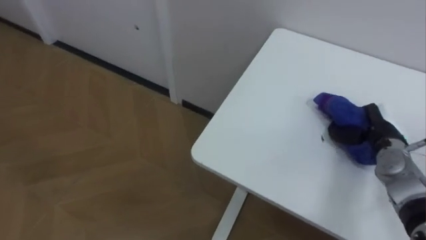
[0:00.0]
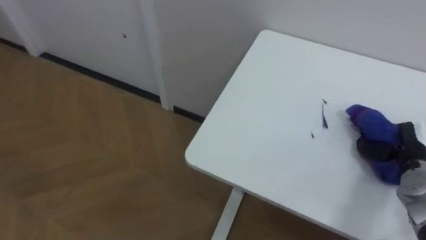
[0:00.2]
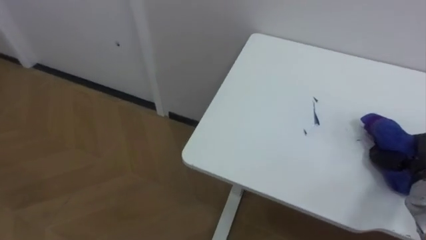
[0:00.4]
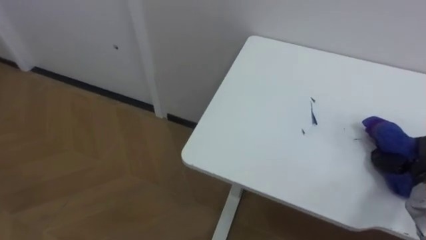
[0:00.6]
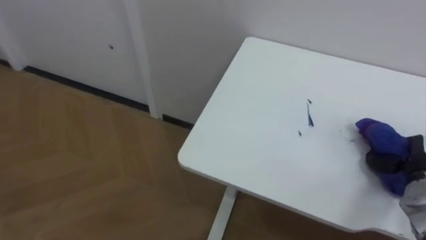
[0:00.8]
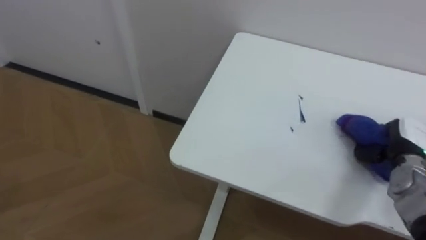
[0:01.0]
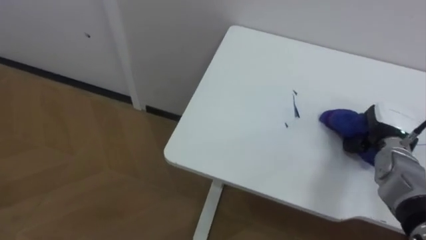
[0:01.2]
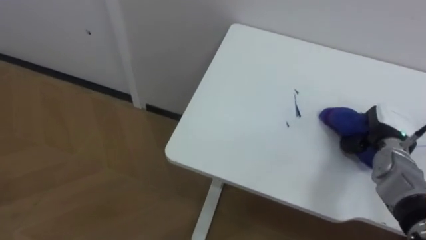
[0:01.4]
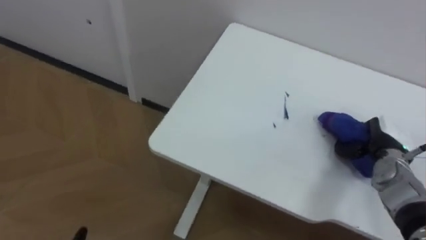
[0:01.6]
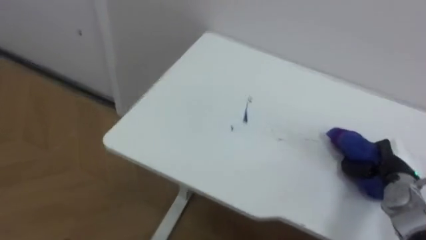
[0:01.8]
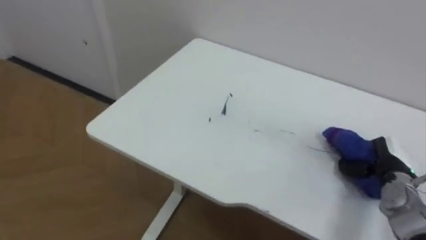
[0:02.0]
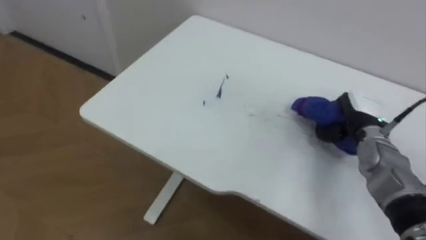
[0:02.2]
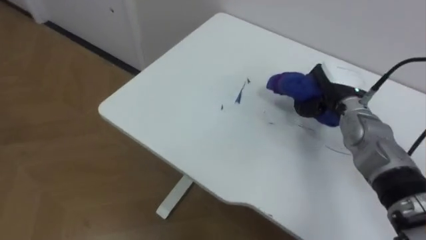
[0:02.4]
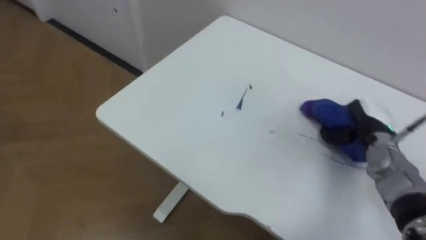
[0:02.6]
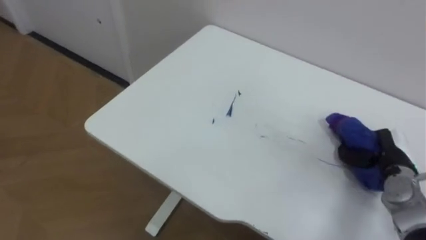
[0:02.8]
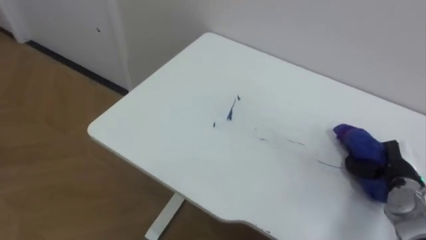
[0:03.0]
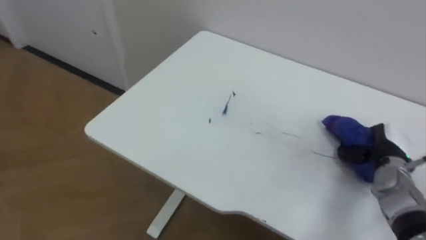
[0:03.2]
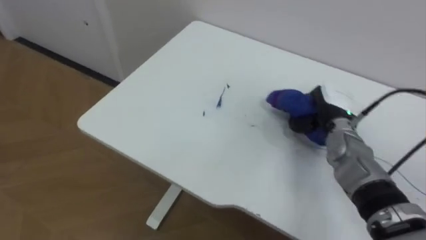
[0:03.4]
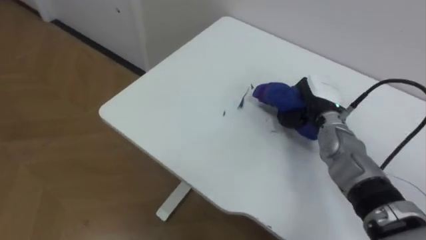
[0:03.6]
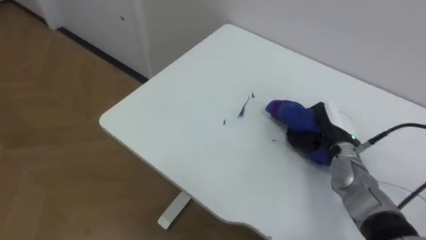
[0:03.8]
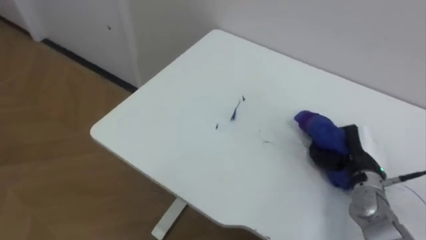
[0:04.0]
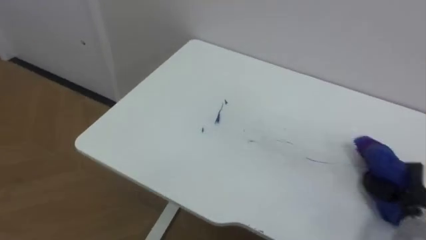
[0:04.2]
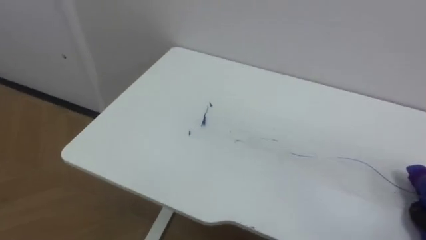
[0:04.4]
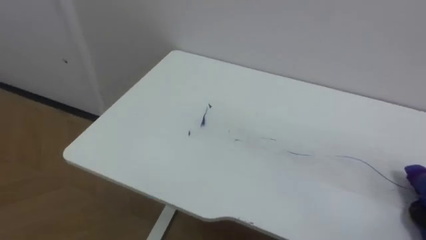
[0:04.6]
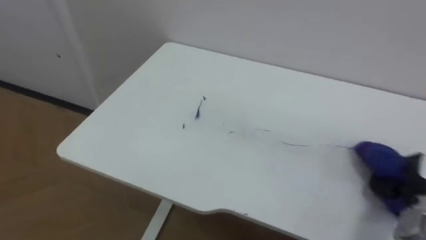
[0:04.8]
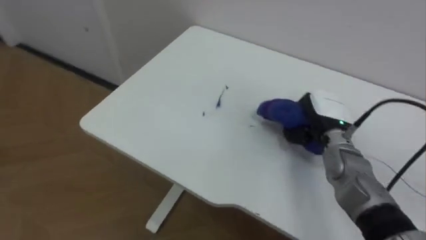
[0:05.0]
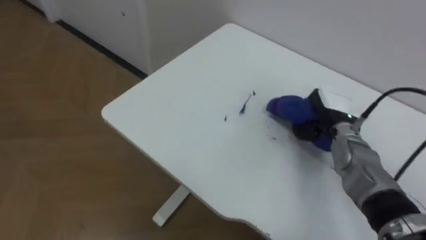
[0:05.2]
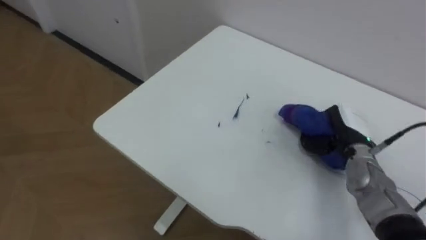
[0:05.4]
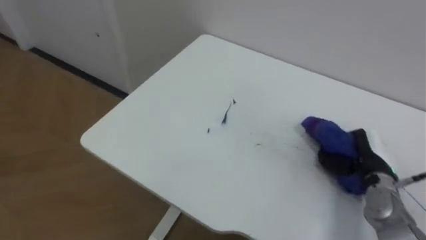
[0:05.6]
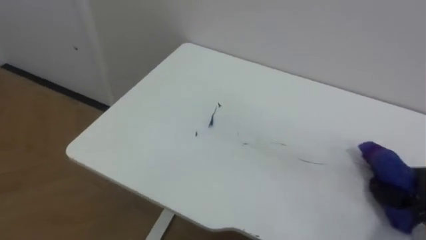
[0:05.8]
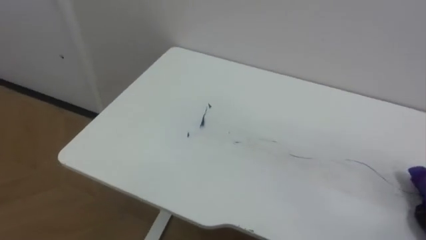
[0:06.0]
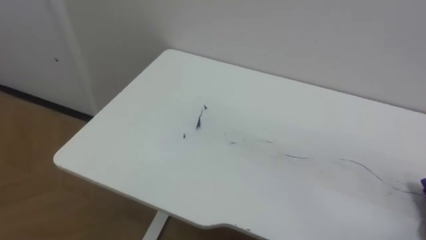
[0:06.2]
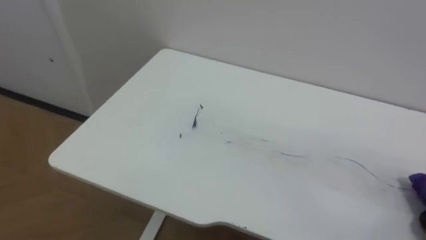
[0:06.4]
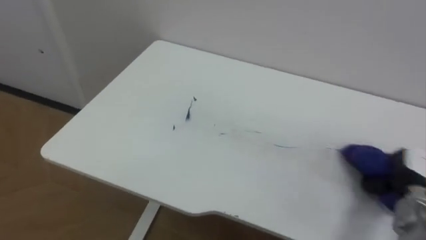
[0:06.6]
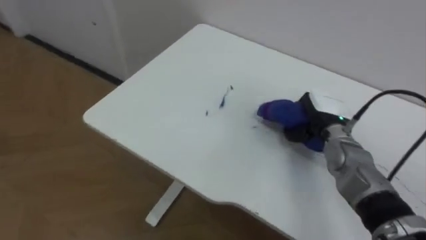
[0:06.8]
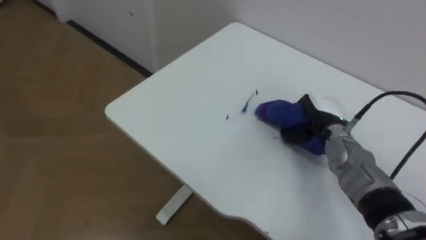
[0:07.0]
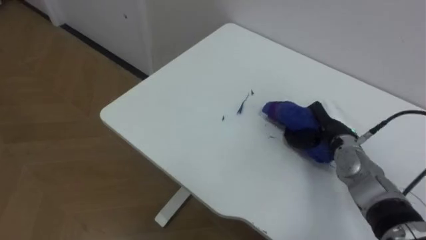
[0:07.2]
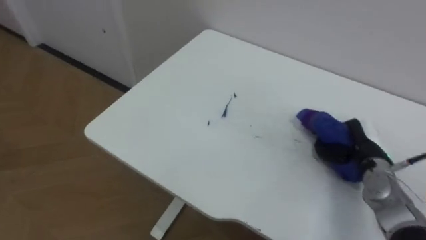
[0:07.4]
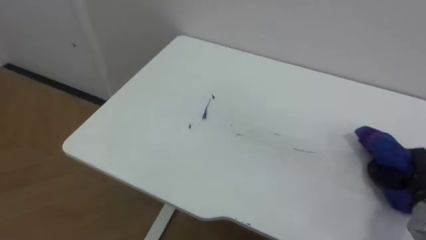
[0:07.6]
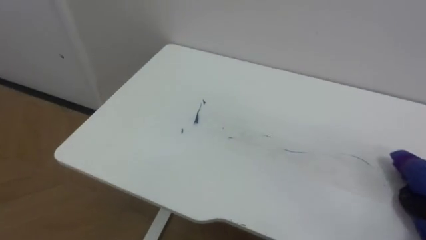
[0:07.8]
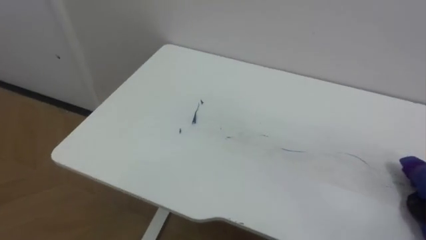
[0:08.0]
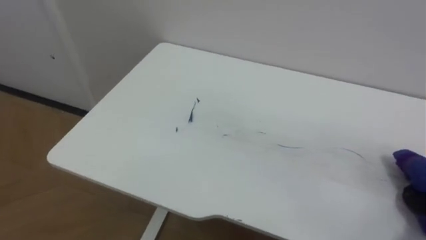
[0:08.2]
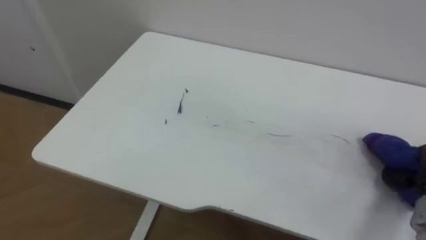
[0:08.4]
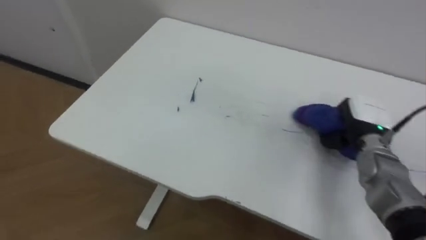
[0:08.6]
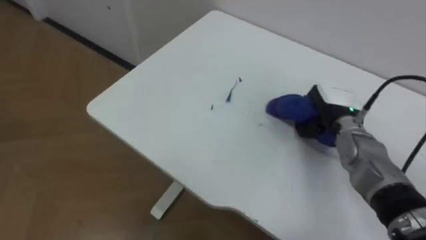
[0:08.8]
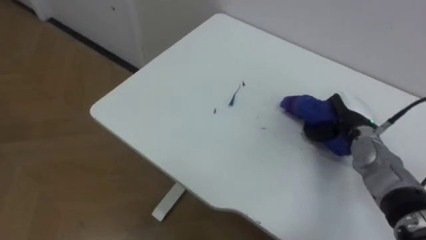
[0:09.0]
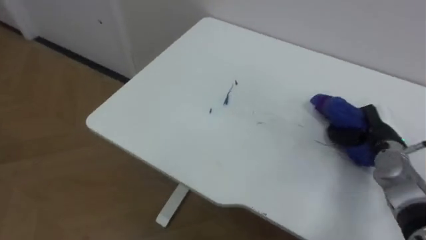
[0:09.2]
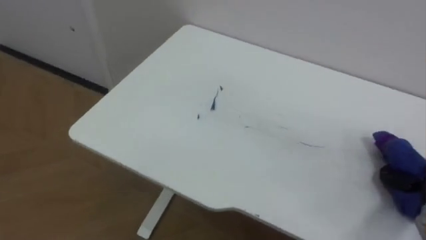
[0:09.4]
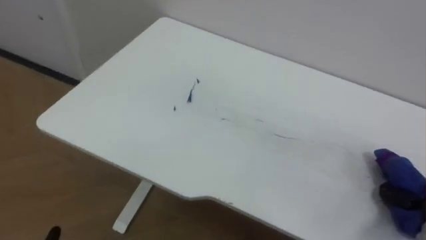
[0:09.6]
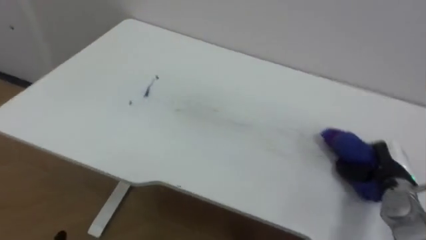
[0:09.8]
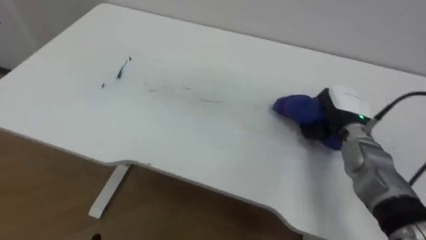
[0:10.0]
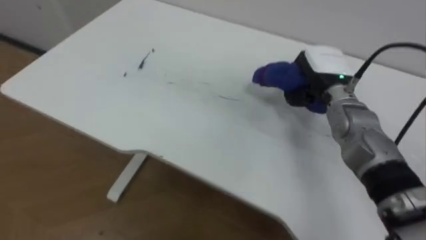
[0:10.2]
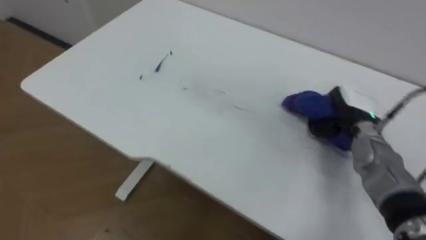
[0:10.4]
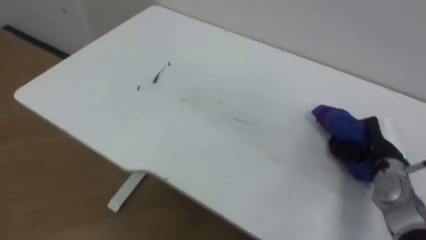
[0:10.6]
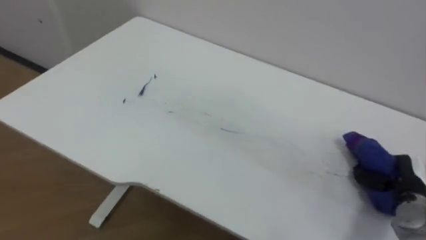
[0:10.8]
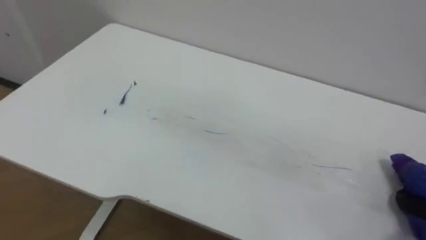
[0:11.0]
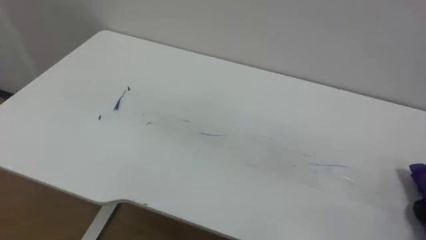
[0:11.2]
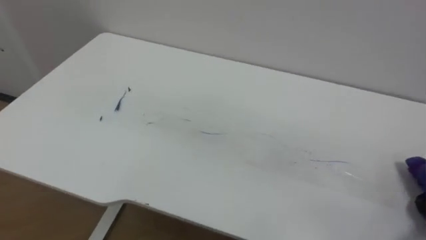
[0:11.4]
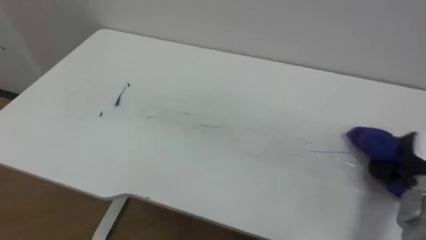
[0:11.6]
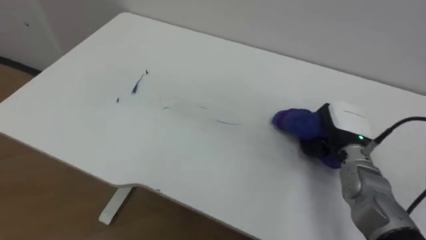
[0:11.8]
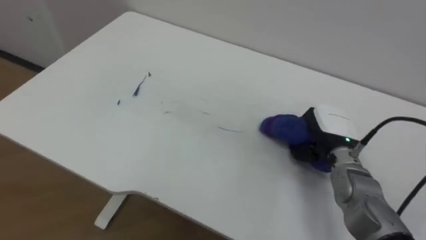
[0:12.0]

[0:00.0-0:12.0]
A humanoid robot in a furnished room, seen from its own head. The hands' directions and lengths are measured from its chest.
Task of the whole recording: Wipe the blue pen marks off the table with the rag.
0:00.0 to 0:01.6: The right hand goes backward and returns, some 5 cm each way.
0:01.6 to 0:03.0: The right hand moves backward, about 5 cm, and travels to the left and back again, roughly 10 cm each way.

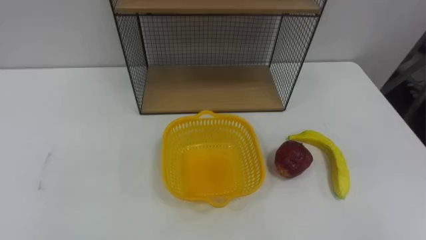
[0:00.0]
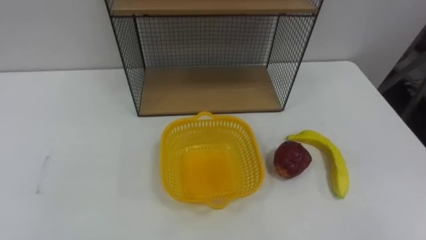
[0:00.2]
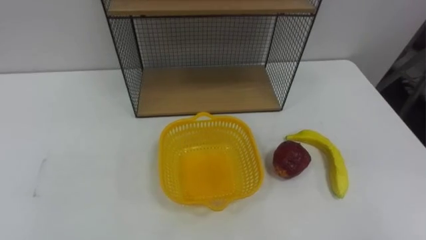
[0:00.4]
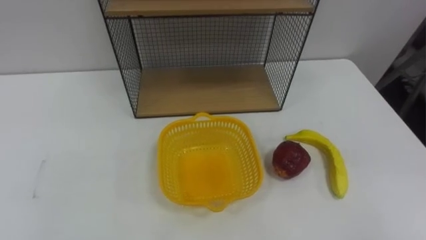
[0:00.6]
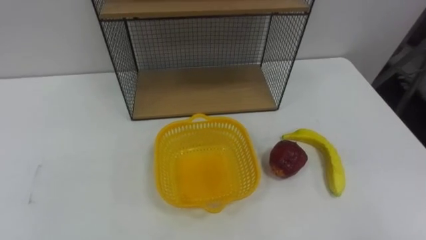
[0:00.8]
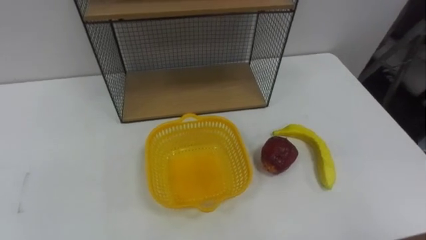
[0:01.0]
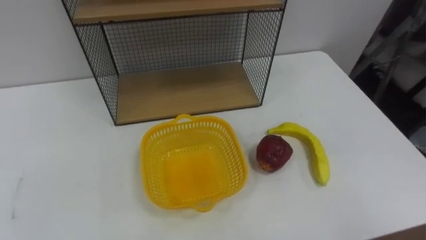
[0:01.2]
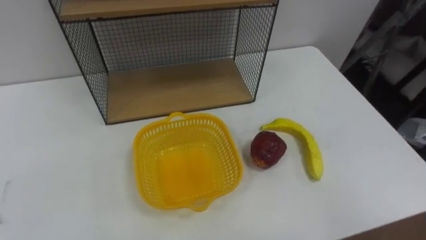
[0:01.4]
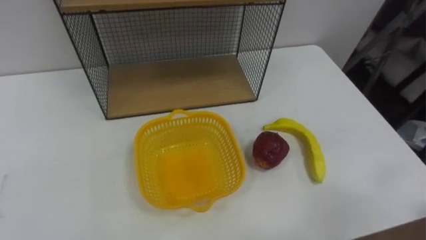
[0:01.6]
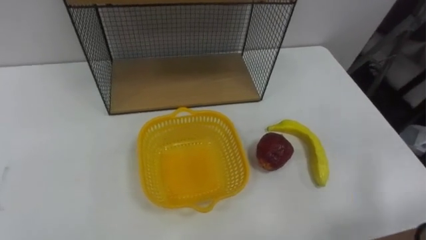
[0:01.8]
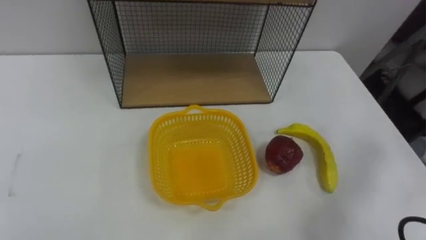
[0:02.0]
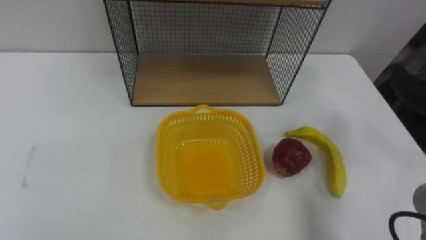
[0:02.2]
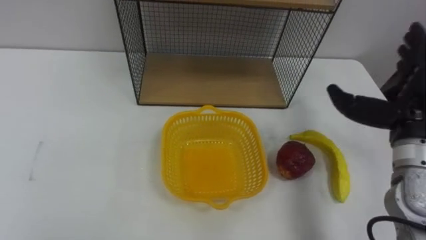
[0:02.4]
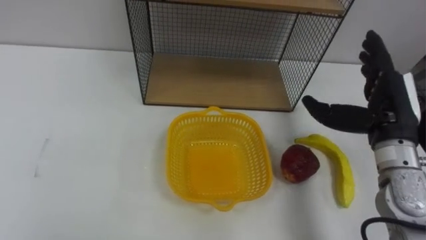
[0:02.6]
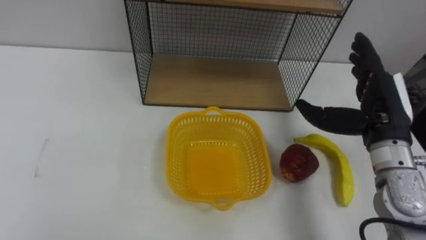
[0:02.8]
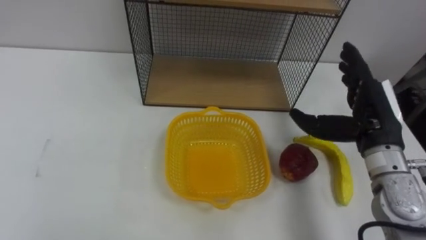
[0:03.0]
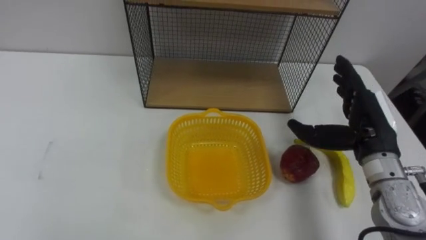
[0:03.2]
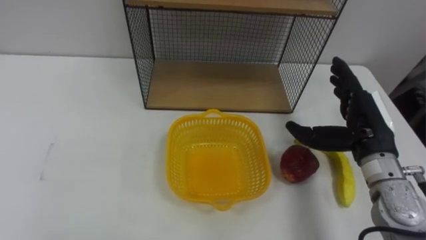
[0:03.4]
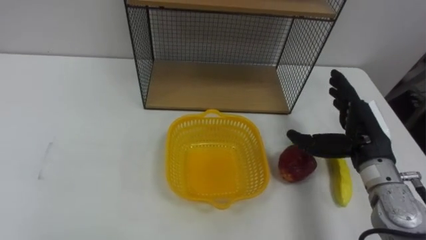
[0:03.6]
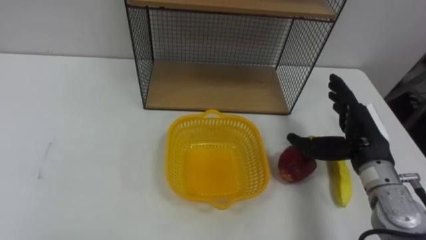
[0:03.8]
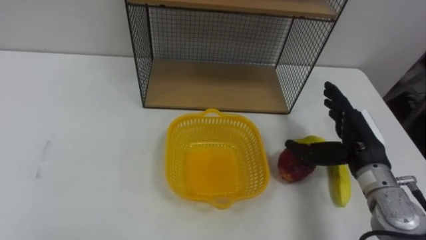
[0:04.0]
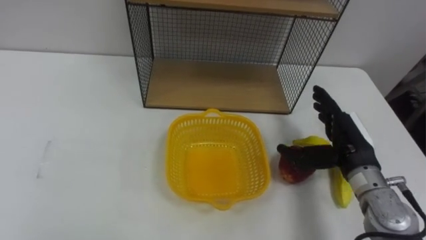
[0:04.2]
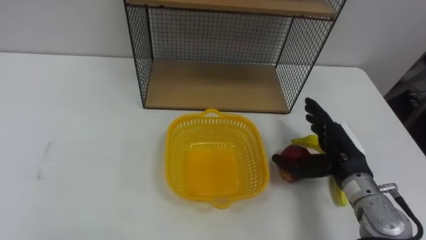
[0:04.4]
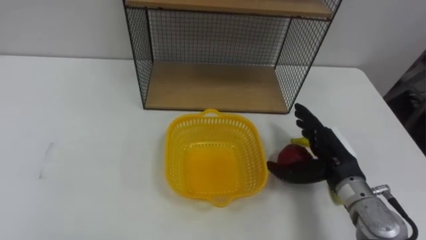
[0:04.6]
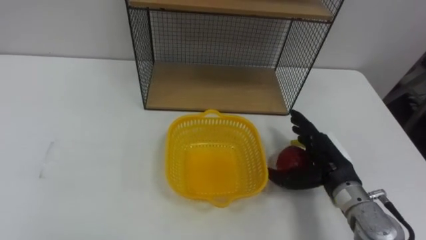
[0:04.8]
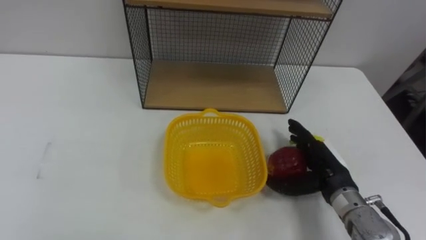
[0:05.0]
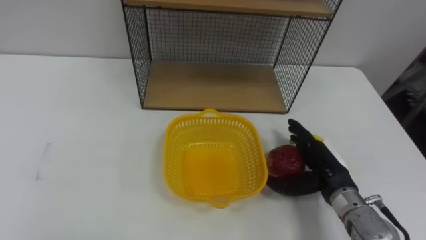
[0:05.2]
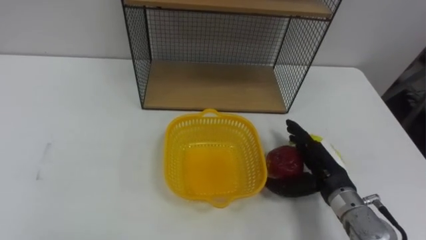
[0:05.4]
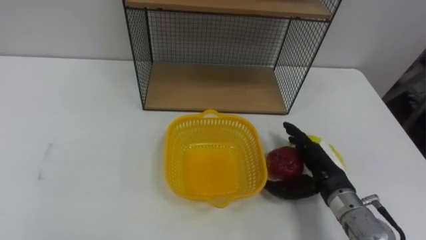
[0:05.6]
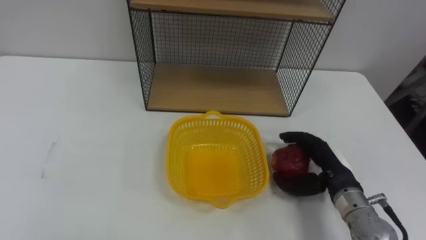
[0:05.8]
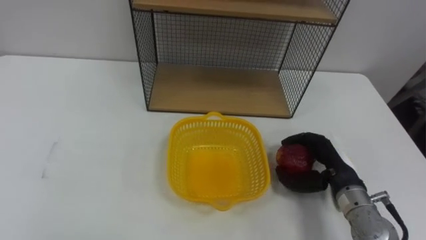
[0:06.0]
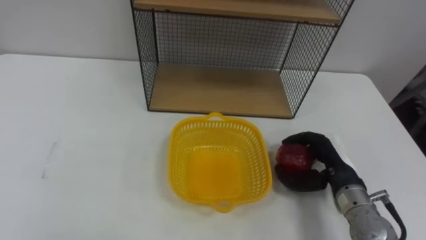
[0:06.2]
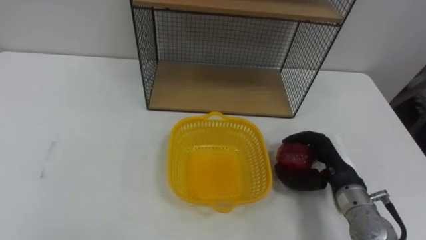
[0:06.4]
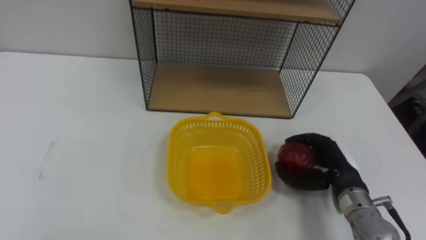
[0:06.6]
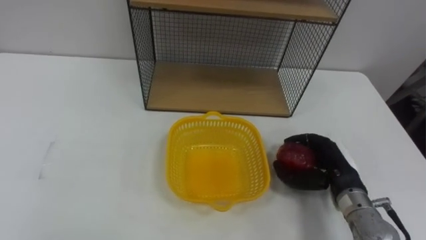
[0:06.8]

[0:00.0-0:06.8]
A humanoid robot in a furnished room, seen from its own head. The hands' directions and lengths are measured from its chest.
Task of the whole recording: Put the fruit on the table into the basket, then place the basket on the shelf.
0:02.8 to 0:04.0: The right hand is displaced downward by approximately 5 cm.
0:04.0 to 0:05.4: The right hand travels downward by about 5 cm.
0:05.4 to 0:06.8: The right hand closes.
